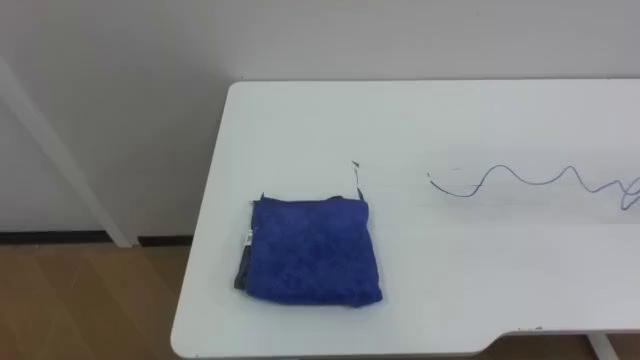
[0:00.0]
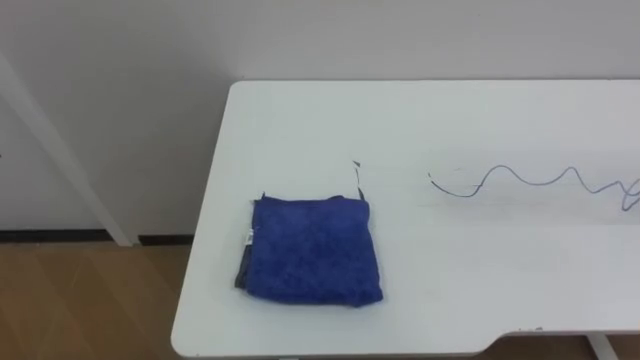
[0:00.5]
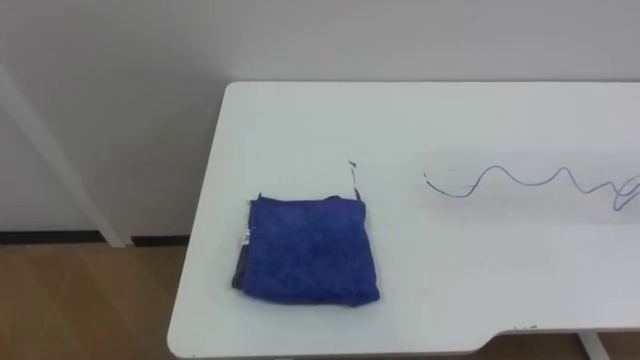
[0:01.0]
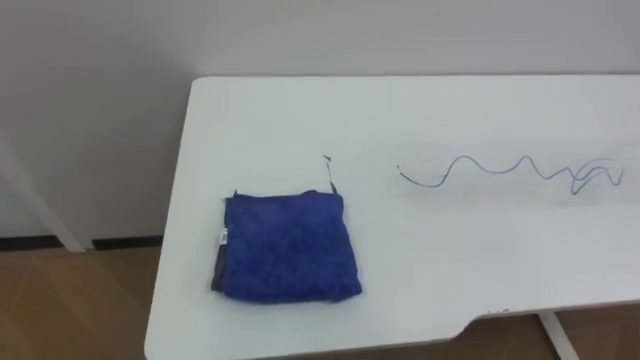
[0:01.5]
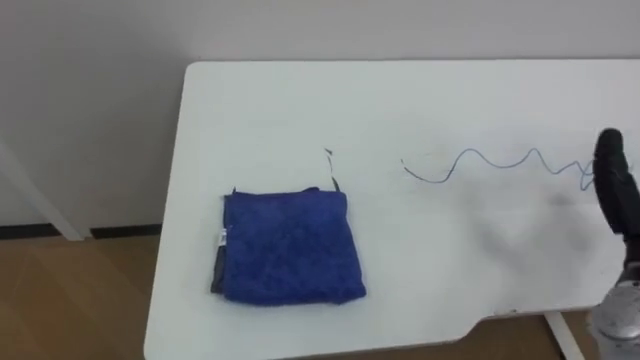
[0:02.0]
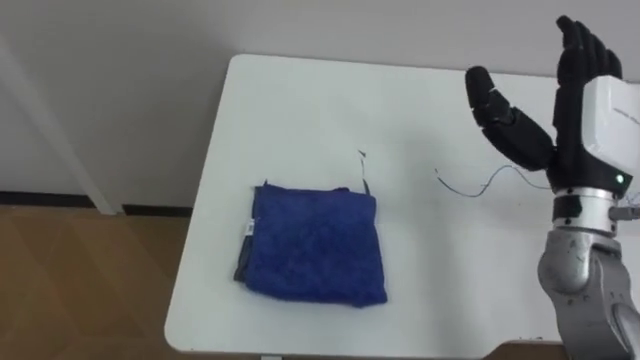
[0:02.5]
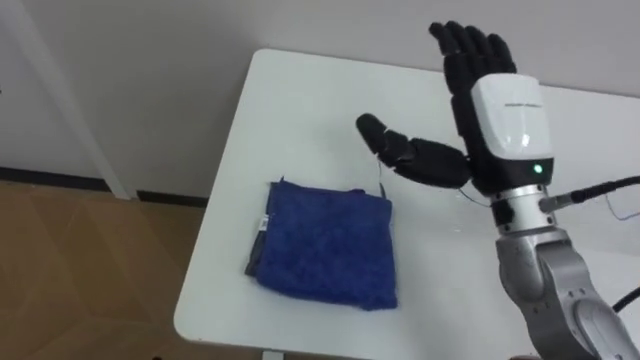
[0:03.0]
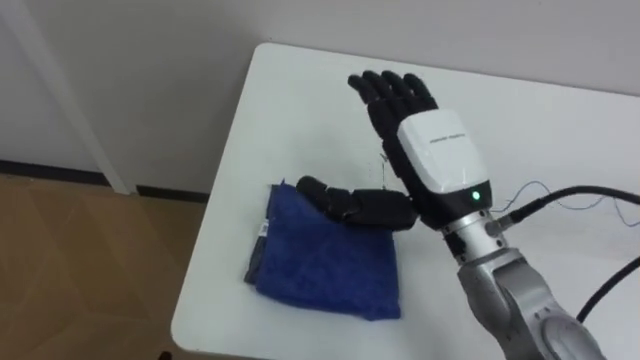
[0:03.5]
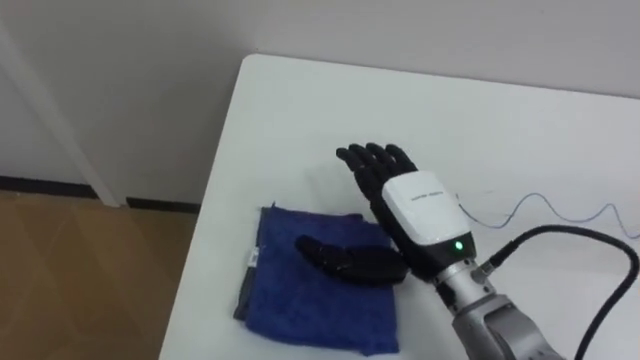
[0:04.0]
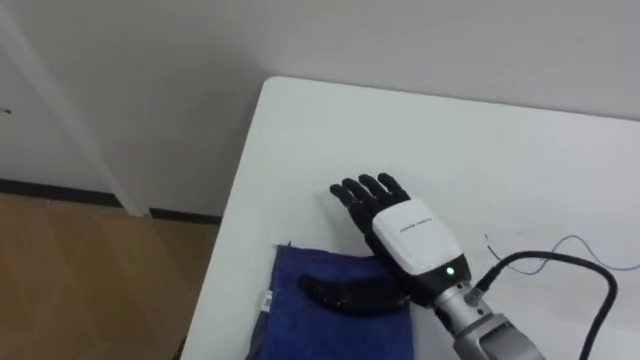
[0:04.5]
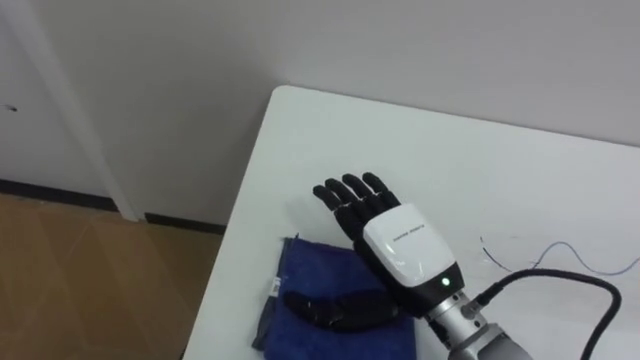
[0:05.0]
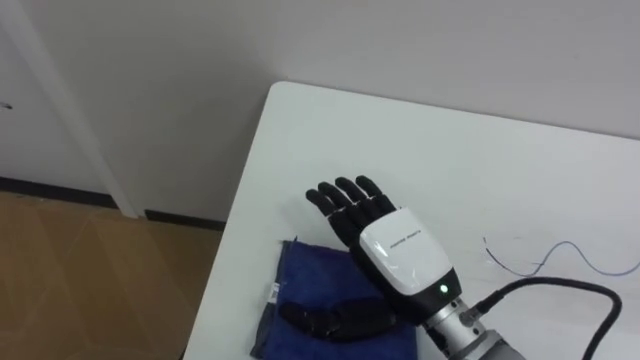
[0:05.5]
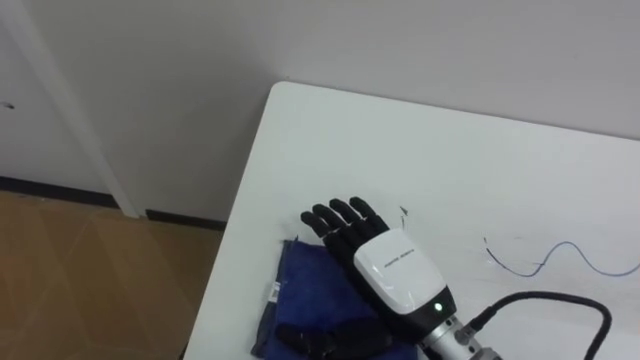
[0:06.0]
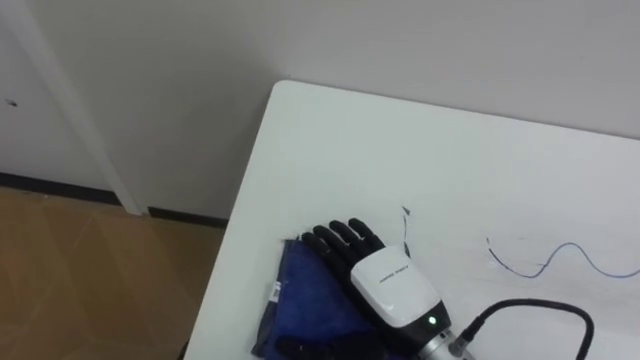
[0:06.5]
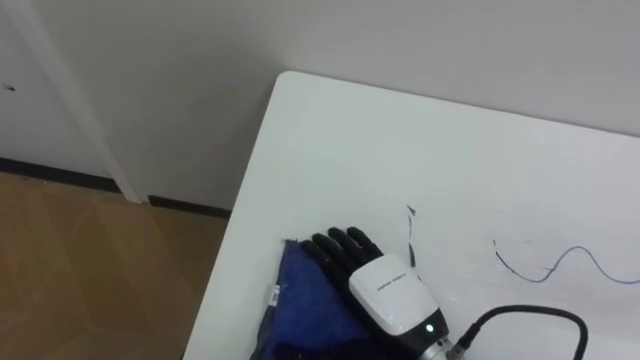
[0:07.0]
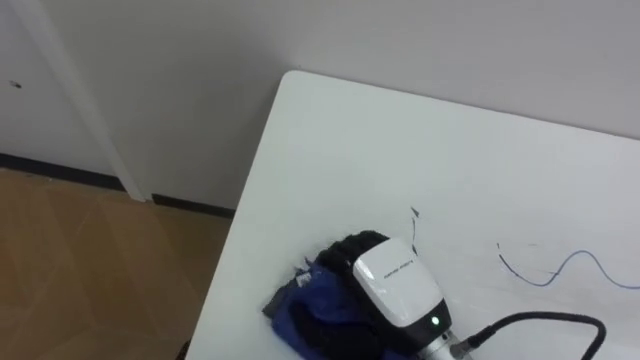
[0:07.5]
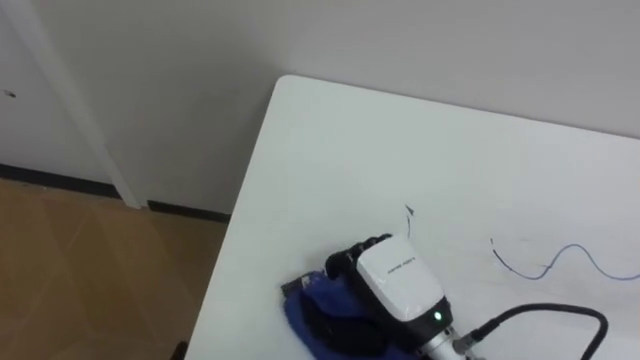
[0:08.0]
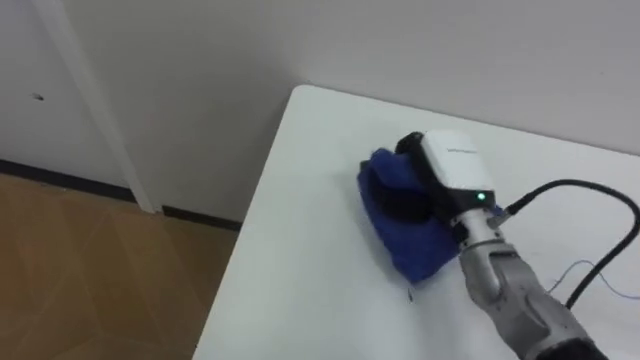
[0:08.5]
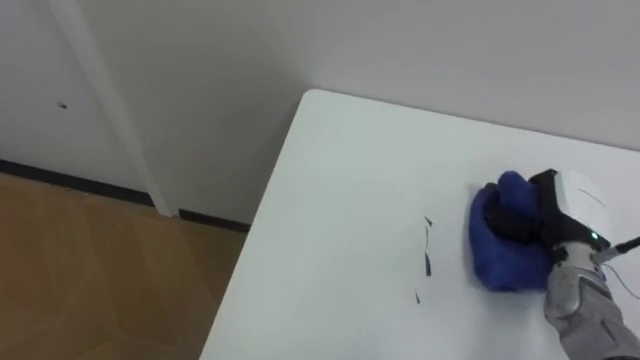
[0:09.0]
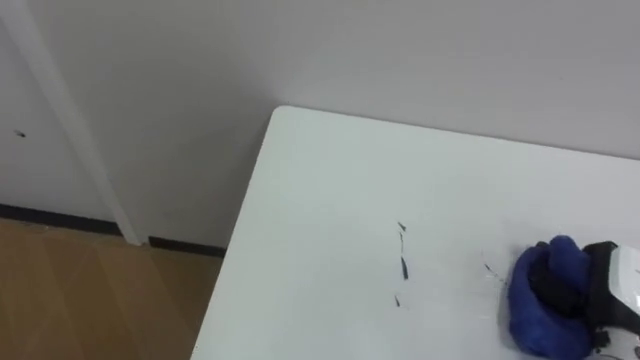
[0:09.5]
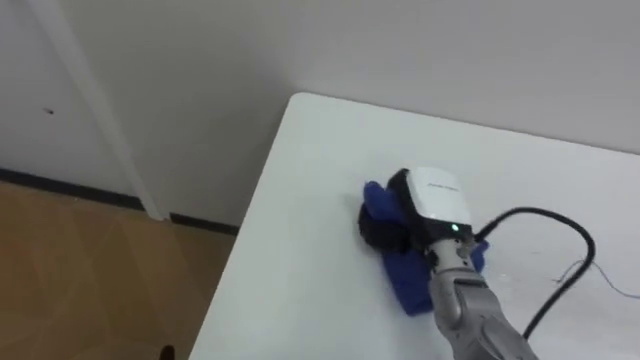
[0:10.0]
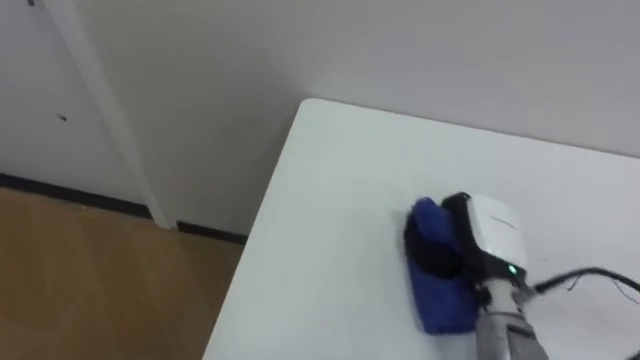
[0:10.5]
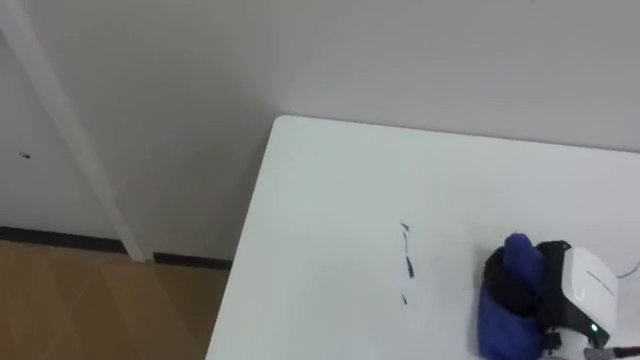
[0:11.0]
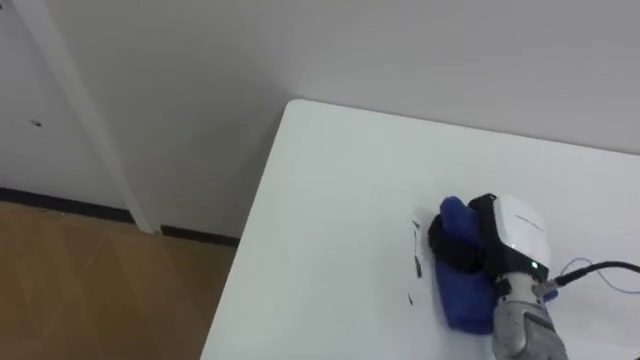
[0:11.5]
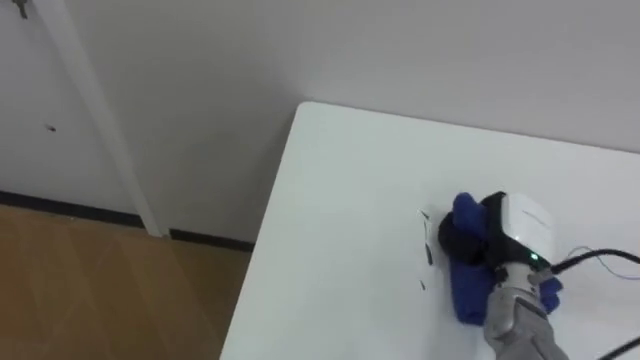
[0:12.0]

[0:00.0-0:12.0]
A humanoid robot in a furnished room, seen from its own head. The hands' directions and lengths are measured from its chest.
Task of the whole recording: Wipe the blue pen marks off the table with the rag.
0:04.0 to 0:06.0: The right hand is displaced backward by about 5 cm.
0:06.0 to 0:08.0: The right hand closes.
0:08.0 to 0:10.0: The right hand heads forward, covering approximately 10 cm, and goes to the right and returns, approximately 25 cm each way.
0:10.0 to 0:12.0: The right hand shifts some 10 cm to the right.

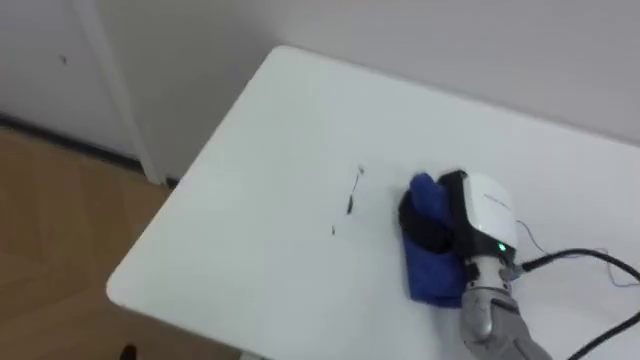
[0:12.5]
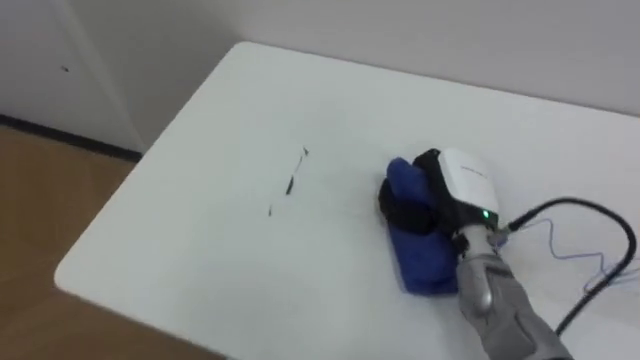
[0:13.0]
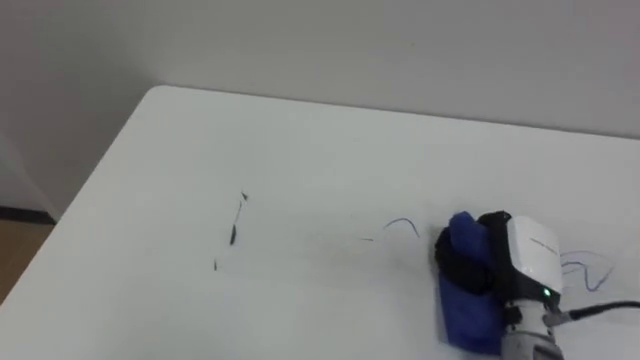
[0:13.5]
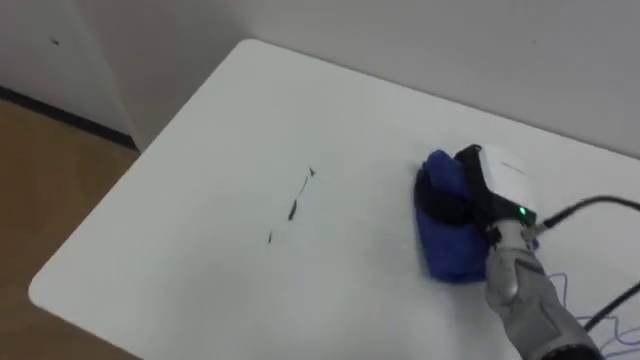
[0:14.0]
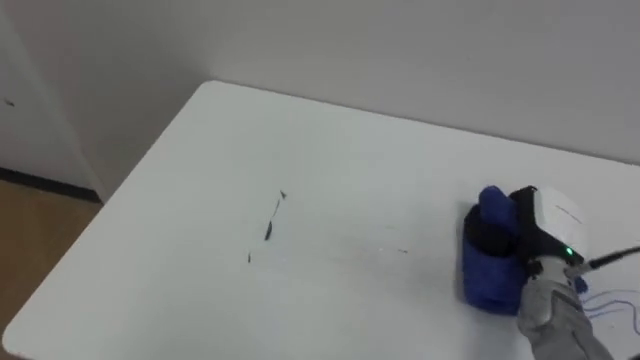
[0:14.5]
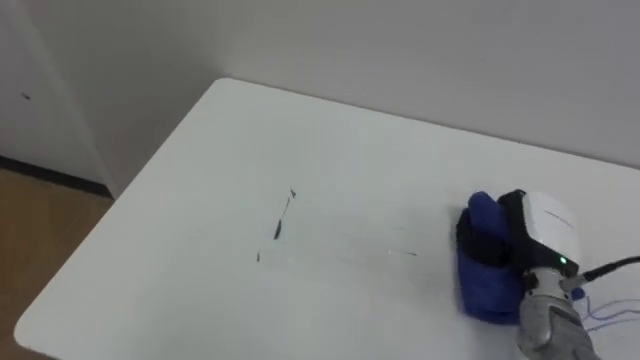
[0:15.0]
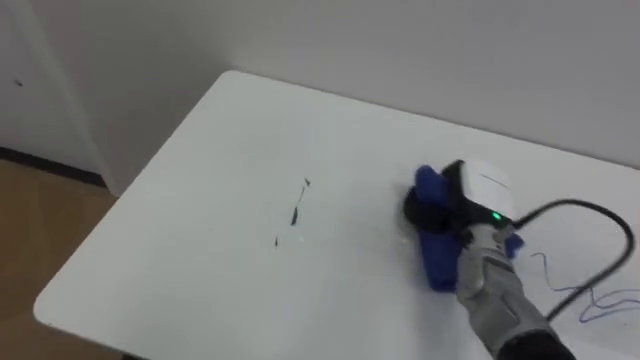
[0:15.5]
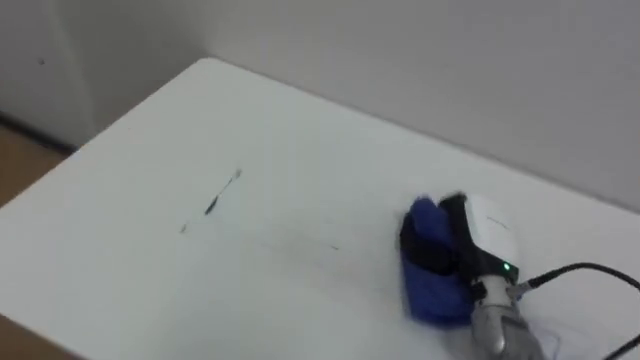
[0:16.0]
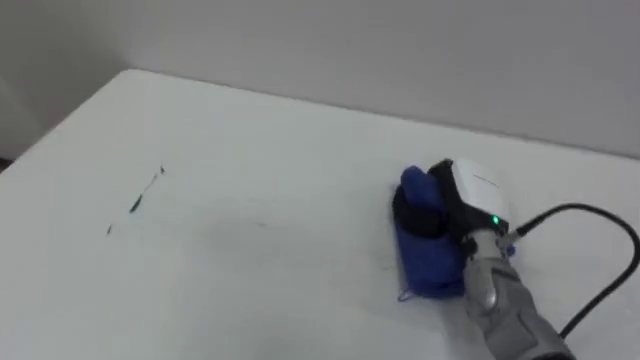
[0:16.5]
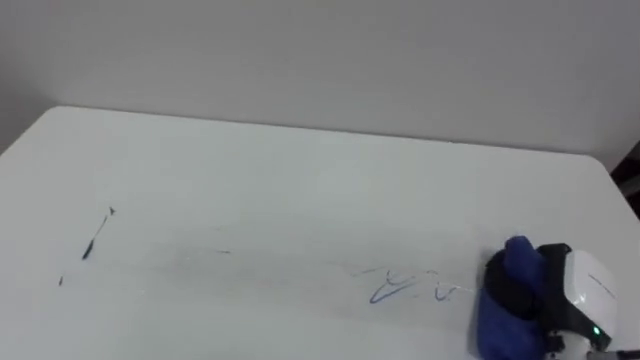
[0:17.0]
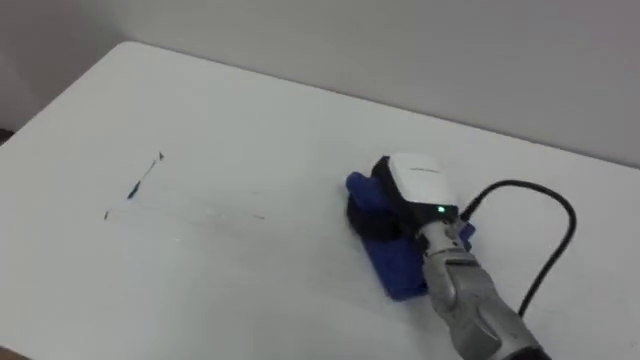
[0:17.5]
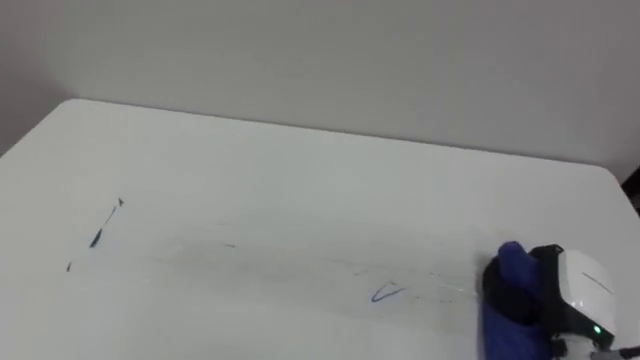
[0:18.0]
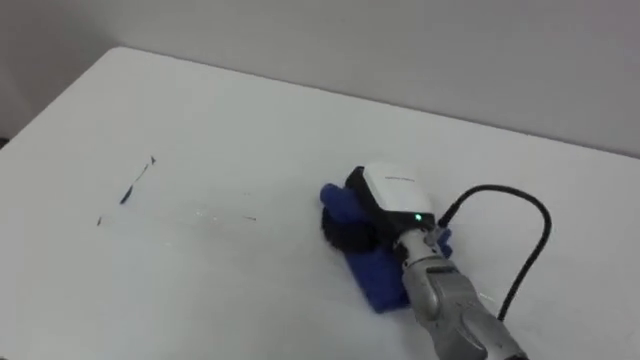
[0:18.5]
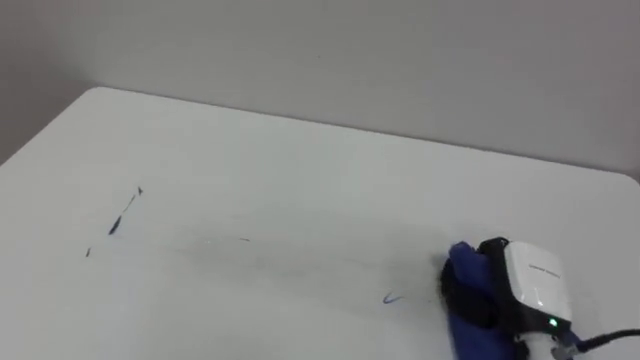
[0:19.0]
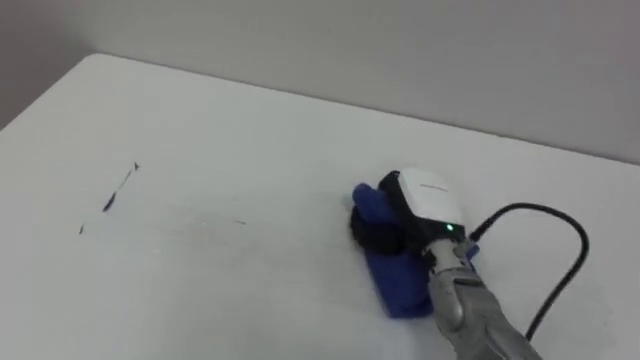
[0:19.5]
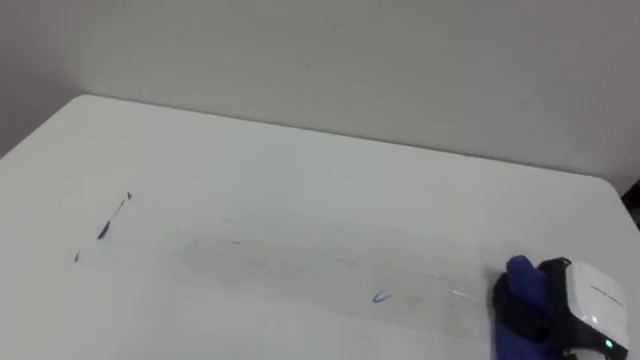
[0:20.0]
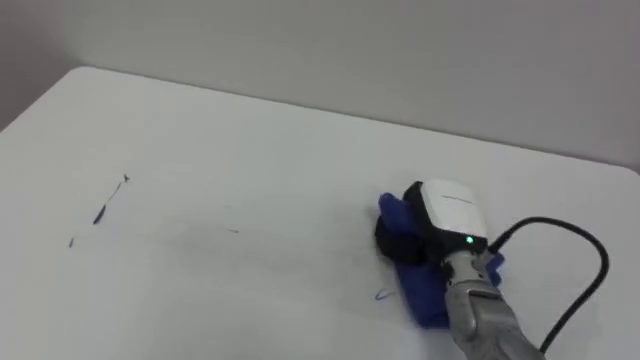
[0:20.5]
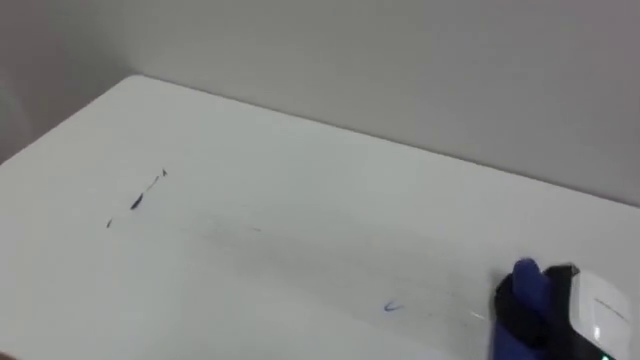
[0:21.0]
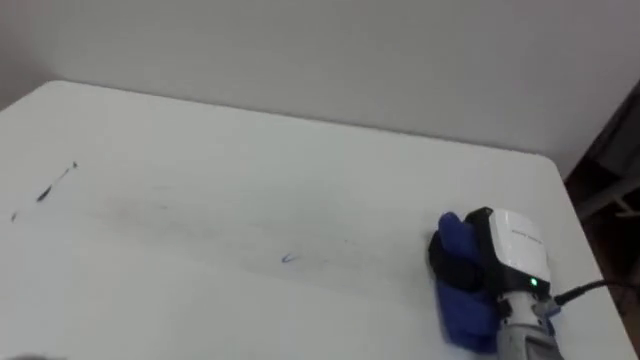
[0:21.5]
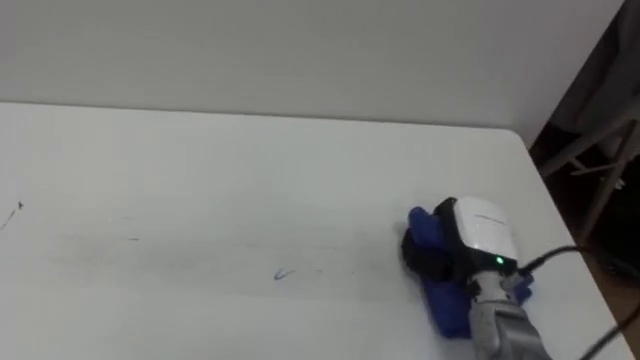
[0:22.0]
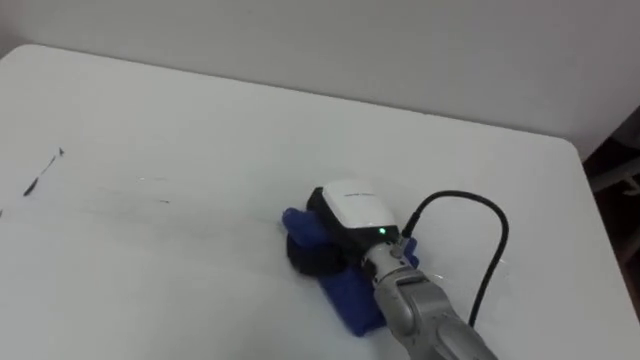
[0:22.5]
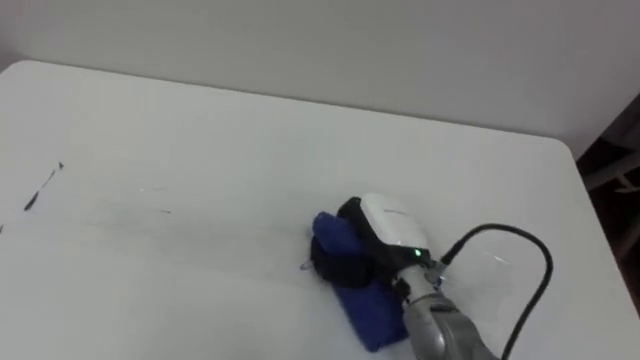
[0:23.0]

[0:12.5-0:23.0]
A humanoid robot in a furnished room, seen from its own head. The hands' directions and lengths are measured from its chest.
Task of the whole recording: Wipe the blue pen marks off the table with the rag.
0:12.5 to 0:14.5: The right hand travels to the right by roughly 10 cm.
0:14.5 to 0:16.5: The right hand heads to the left, covering roughly 10 cm.
0:16.5 to 0:19.0: The right hand goes left and right, some 20 cm each way, reversing 4 times.
0:19.0 to 0:21.0: The right hand moves left and right over about 20 cm, changing direction 3 times.
0:21.0 to 0:23.0: The right hand travels to the left and forward by some 25 cm.
